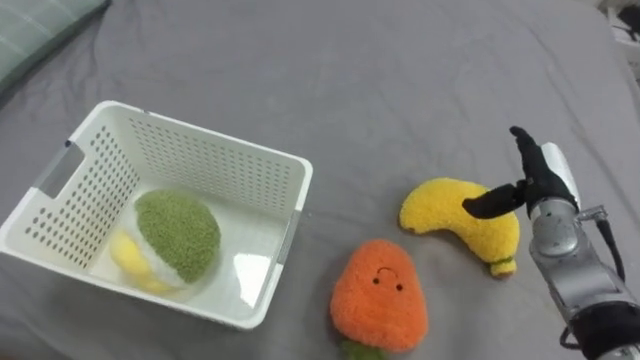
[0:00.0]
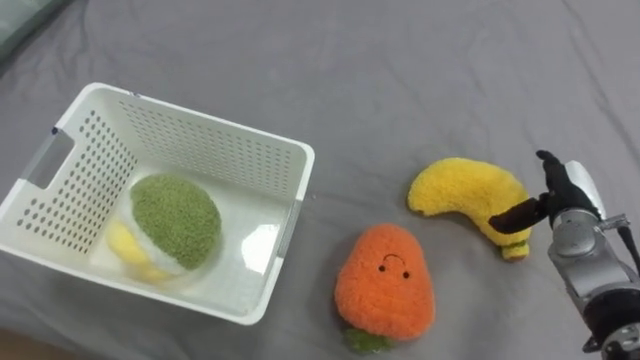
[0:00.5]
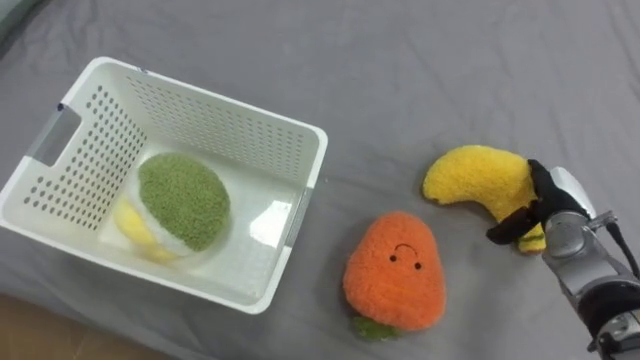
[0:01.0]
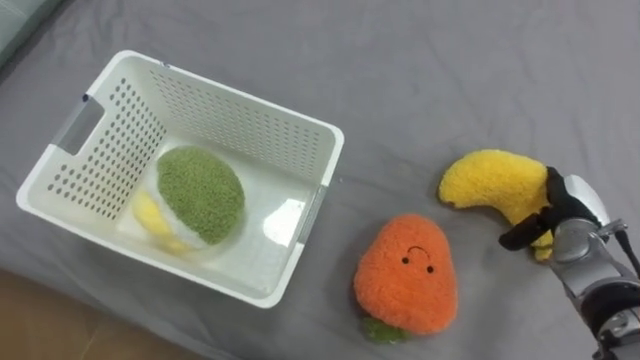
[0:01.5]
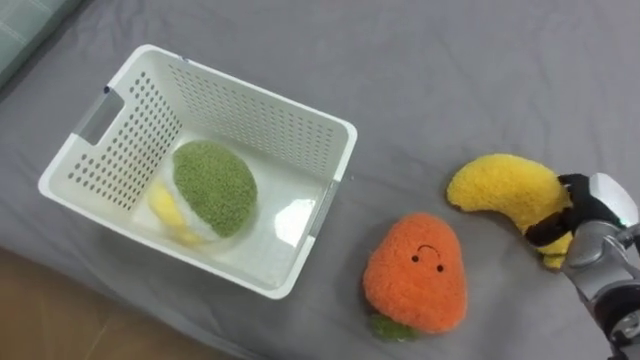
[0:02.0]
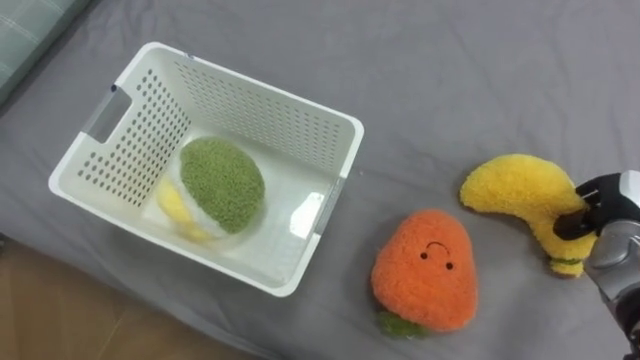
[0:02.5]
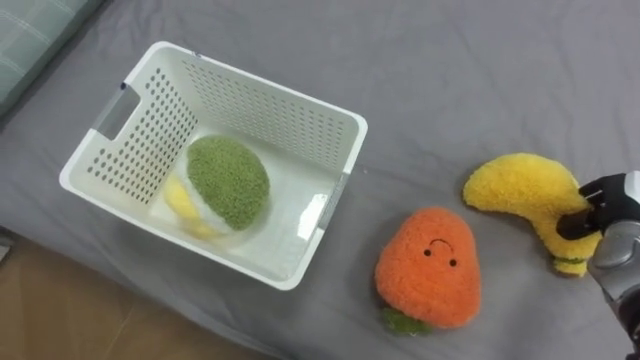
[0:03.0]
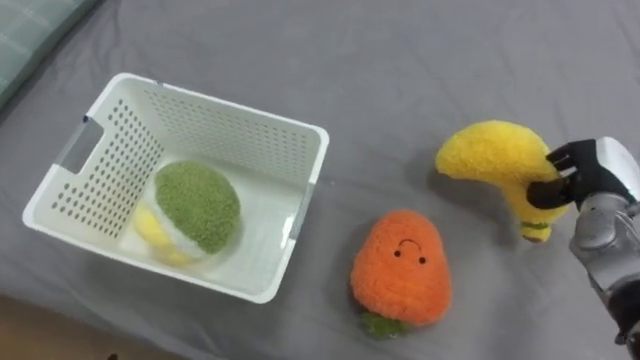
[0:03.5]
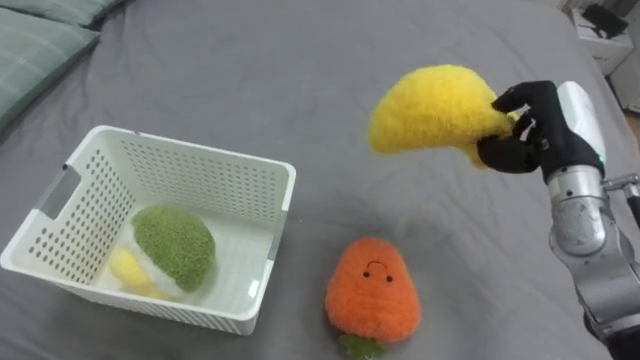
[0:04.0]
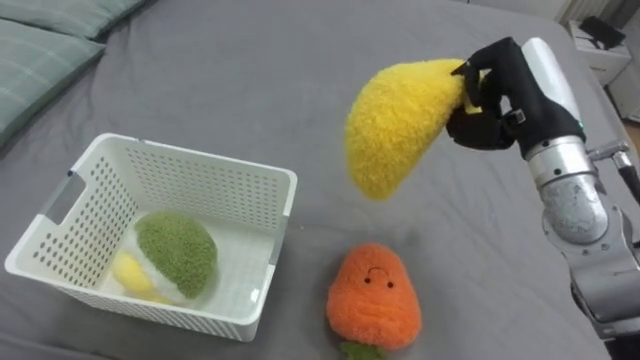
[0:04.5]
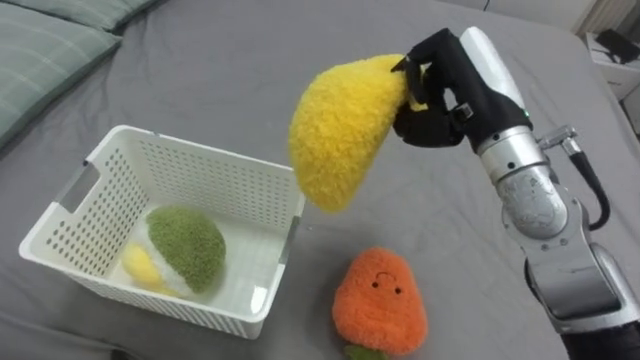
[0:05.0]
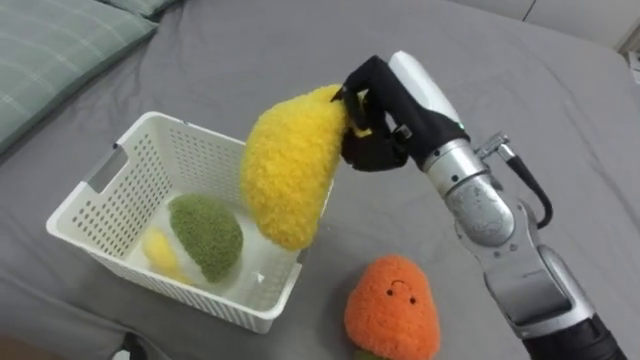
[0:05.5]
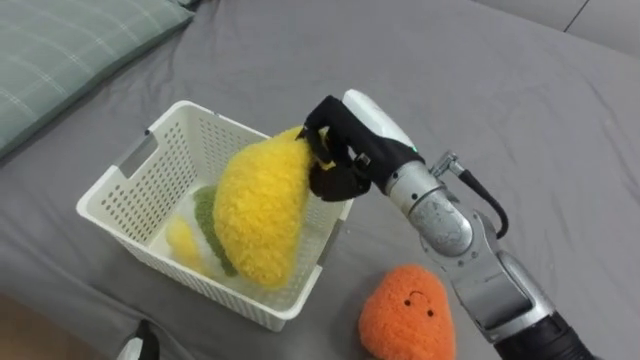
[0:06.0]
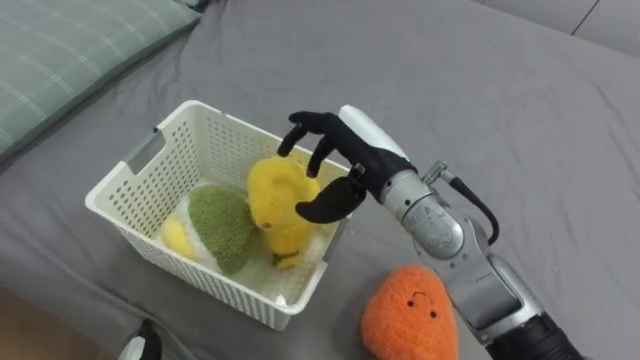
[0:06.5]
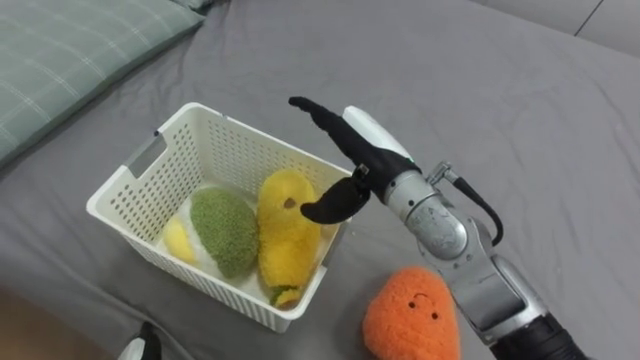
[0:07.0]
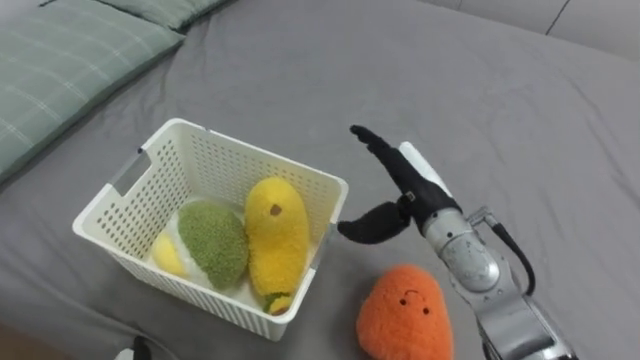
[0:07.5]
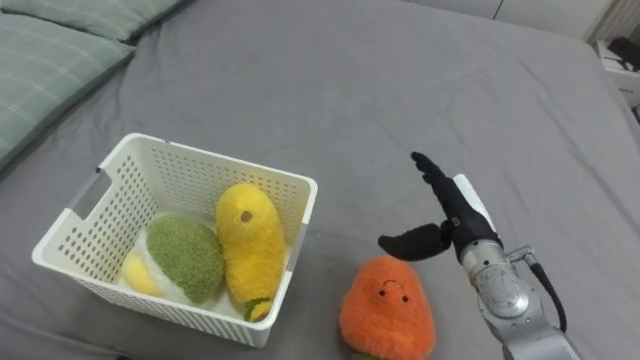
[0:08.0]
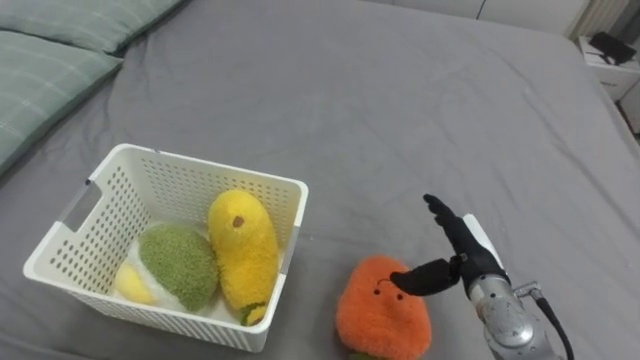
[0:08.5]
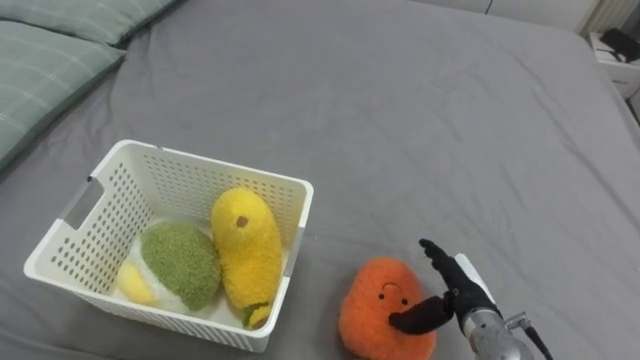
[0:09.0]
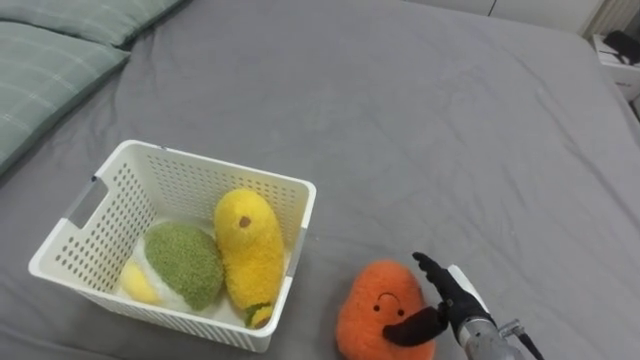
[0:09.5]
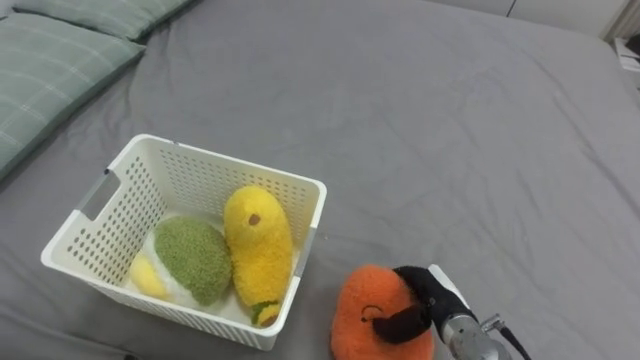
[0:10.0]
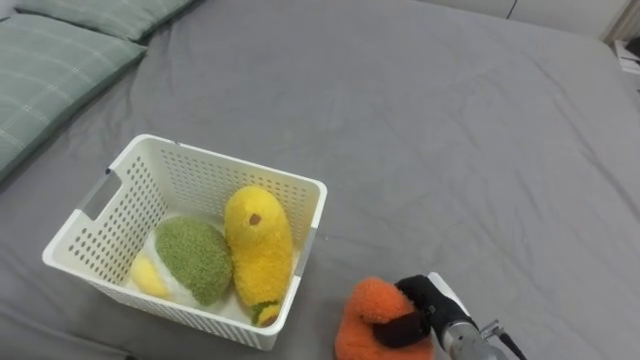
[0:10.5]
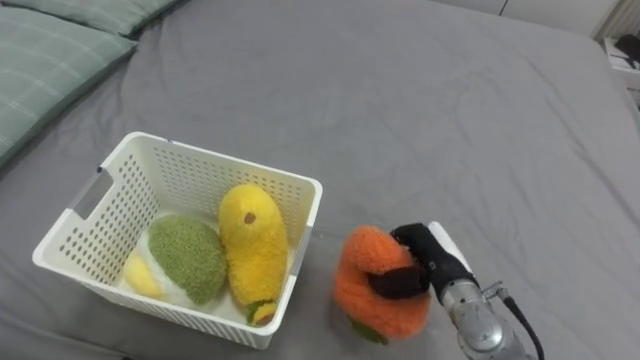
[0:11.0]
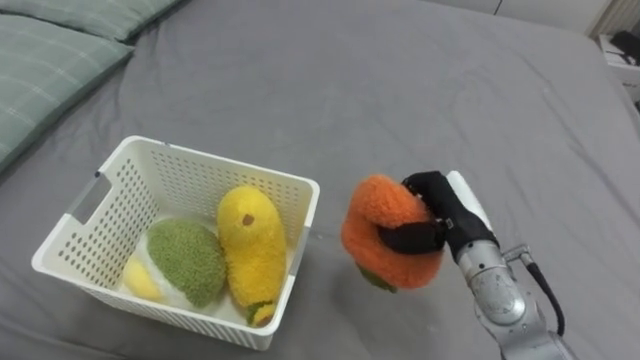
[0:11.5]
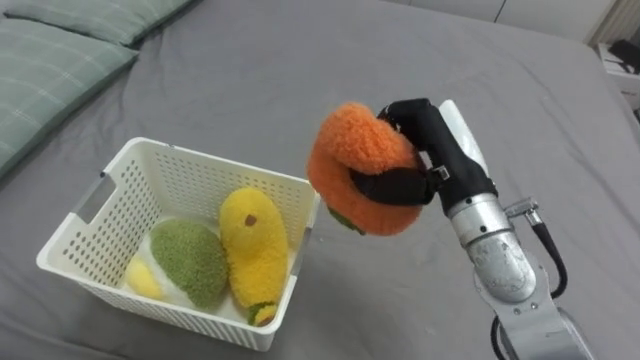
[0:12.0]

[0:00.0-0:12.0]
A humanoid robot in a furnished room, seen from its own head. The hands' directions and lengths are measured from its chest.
Task of the whole recording: Put the toys on the bed into the basket on the left.
0:00.0 to 0:02.0: The right hand heads to the right, covering about 5 cm.
0:02.0 to 0:04.0: The right hand travels upward and to the left by roughly 15 cm, and closes.
0:04.0 to 0:06.0: The right hand travels to the left by about 20 cm.
0:06.0 to 0:08.0: The right hand shifts roughly 20 cm to the right and downward, and opens.
0:08.0 to 0:10.0: The right hand goes approximately 15 cm downward and backward, and closes its fingers.
0:10.0 to 0:12.0: The right hand heads upward, covering approximately 25 cm, and closes.

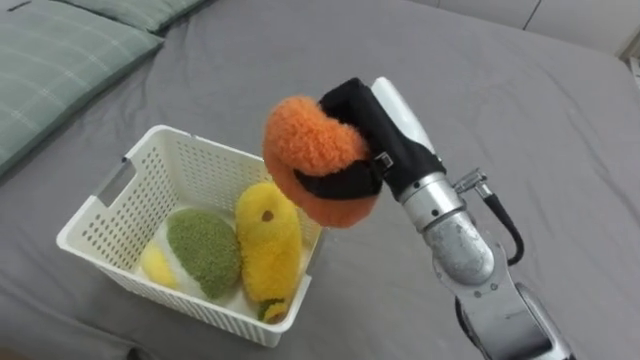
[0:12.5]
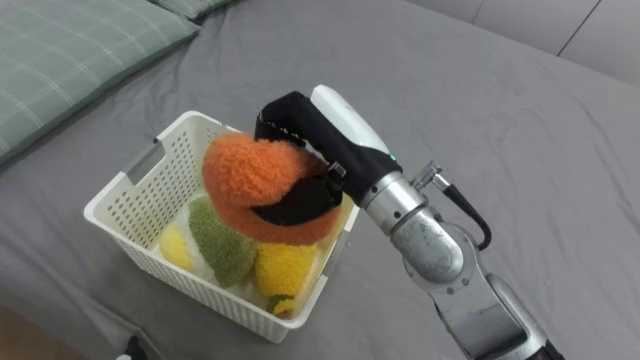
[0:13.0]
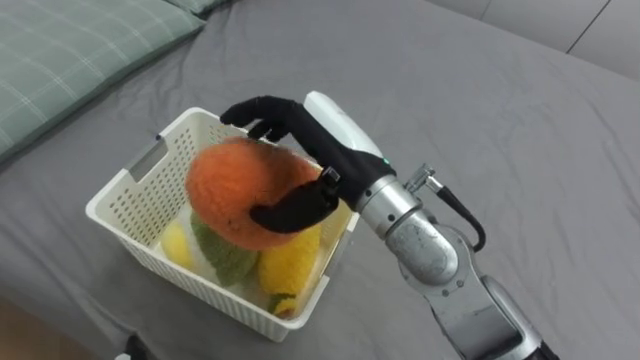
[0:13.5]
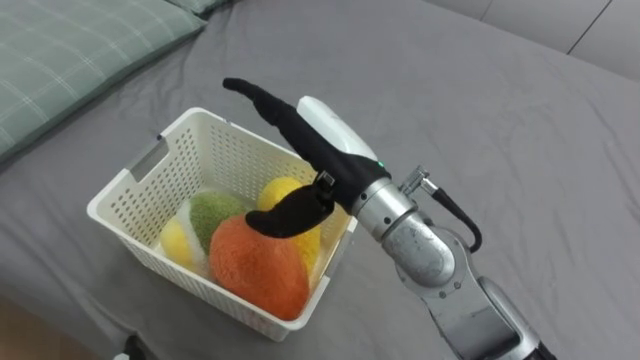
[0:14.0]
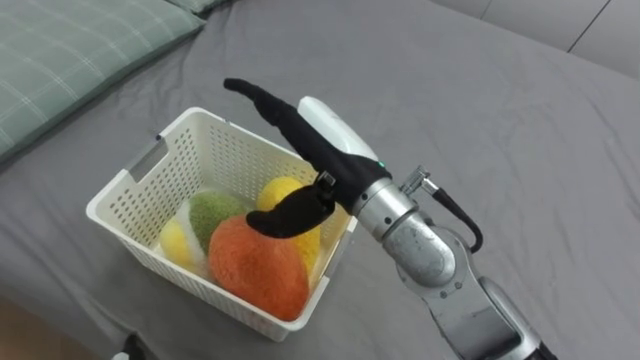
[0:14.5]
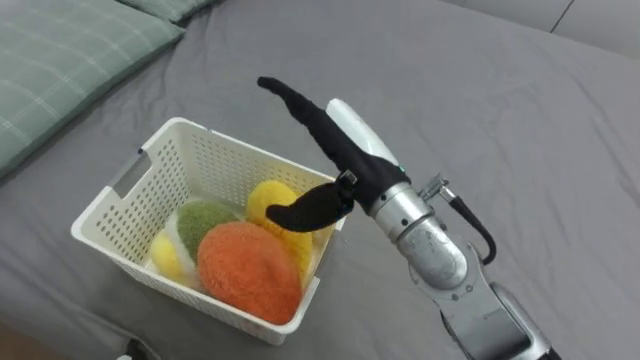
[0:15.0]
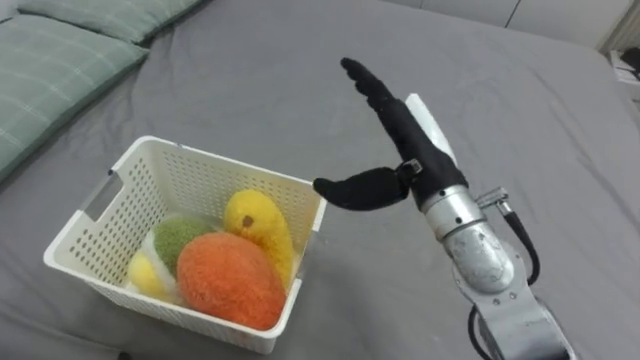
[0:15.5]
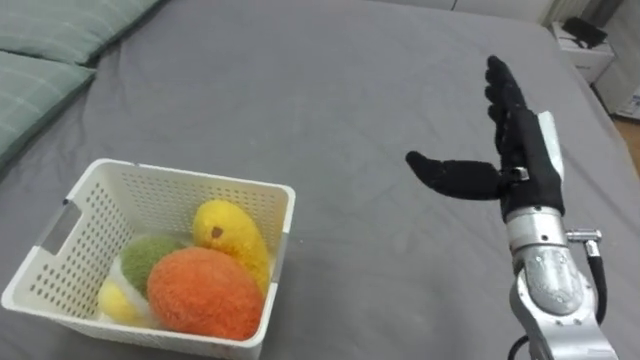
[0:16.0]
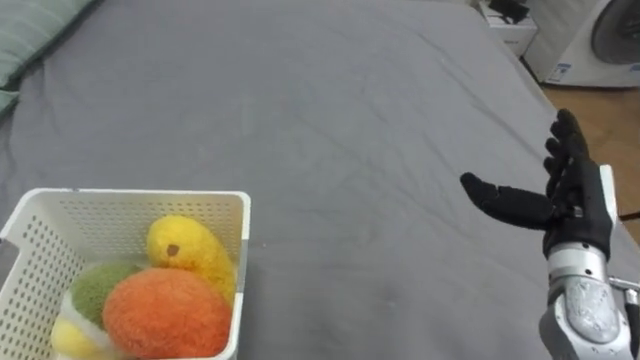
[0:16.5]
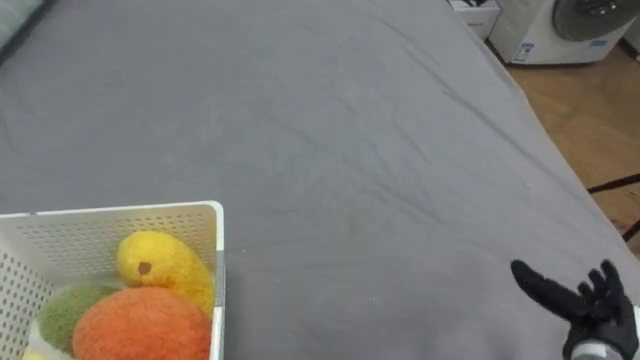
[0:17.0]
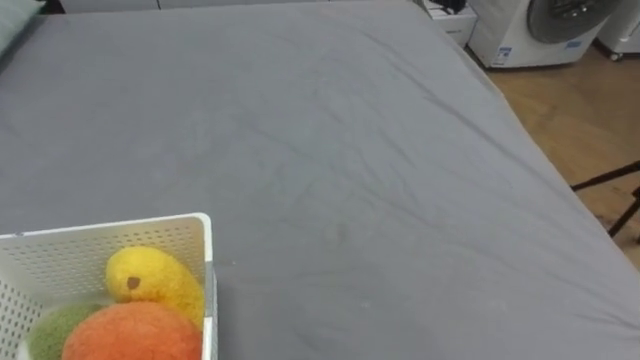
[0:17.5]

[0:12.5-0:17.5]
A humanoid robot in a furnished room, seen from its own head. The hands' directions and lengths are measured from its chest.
Task of the whole recording: Put the toys on the bed into the basket on the left.
0:12.5 to 0:15.0: The right hand opens its fingers.

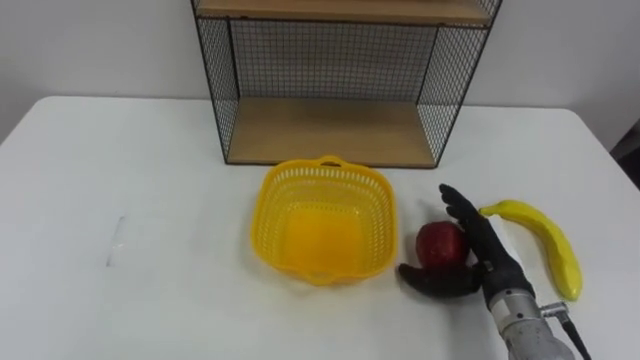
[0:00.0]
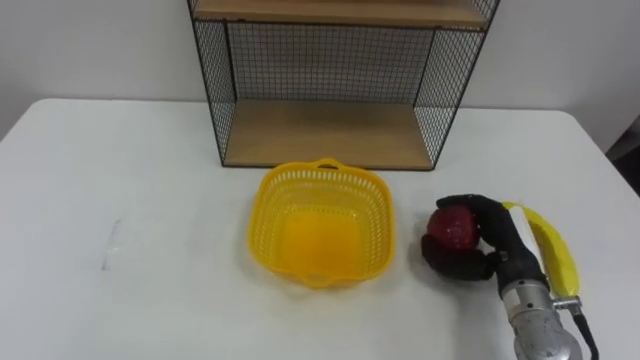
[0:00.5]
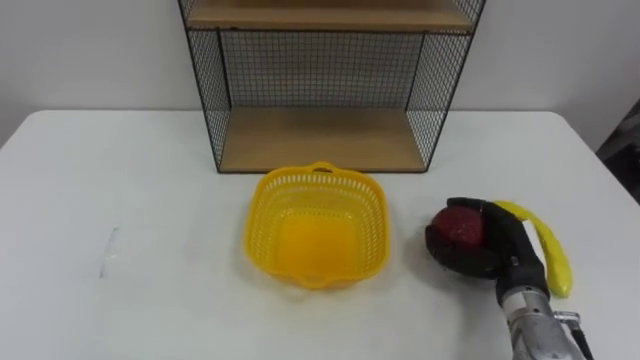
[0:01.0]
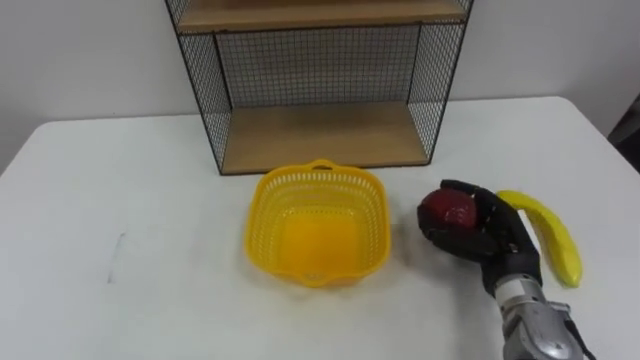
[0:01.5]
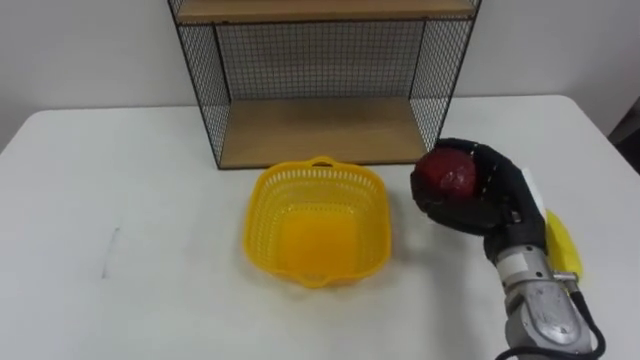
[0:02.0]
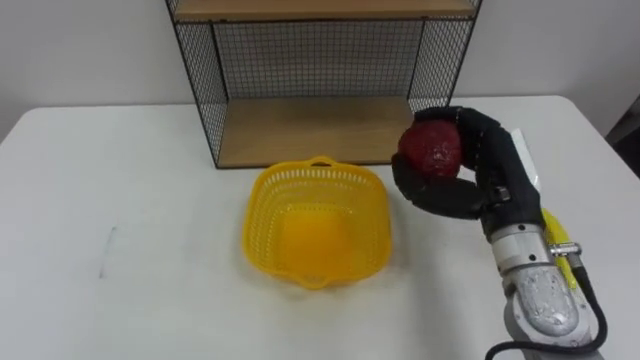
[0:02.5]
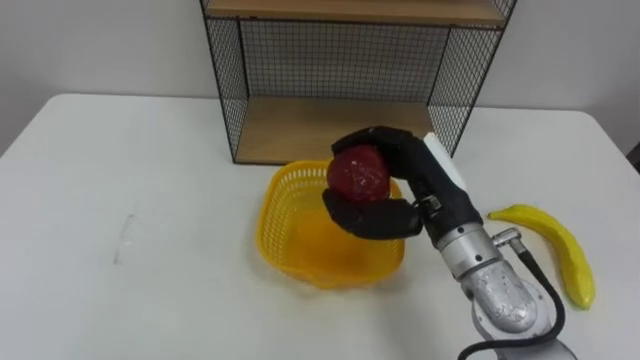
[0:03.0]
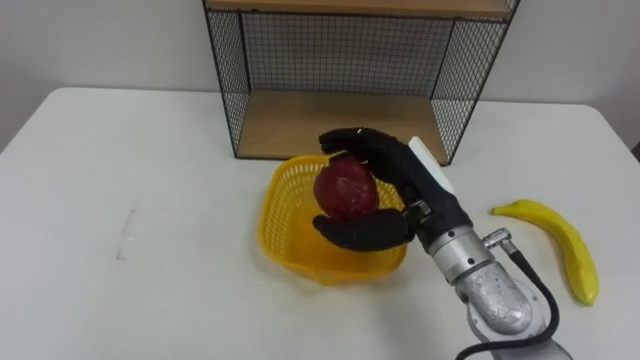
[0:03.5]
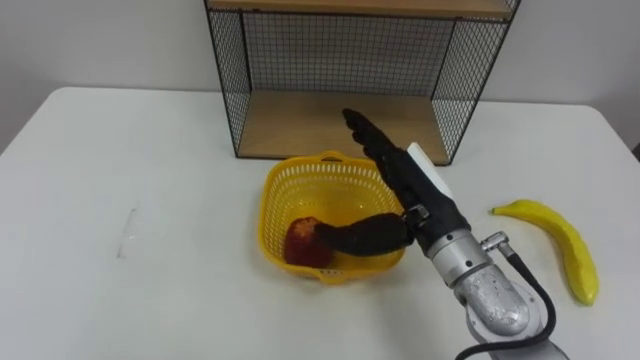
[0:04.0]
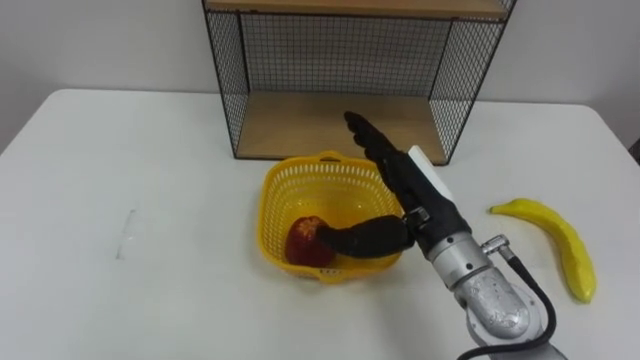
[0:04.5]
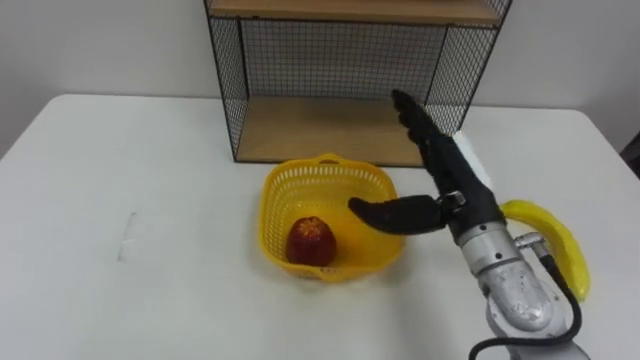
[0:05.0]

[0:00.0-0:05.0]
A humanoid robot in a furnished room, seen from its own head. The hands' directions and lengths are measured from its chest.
Task of the whole recording: Put the fruit on the table into the basket, then place the basket on the shelf.
0:00.0 to 0:02.5: The right hand travels upward by roughly 10 cm, and closes its fingers.
0:02.5 to 0:05.0: The right hand opens.
